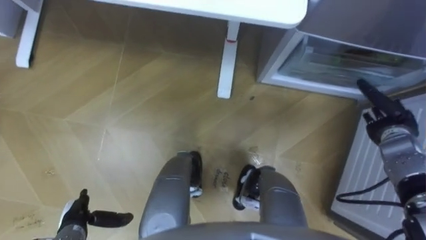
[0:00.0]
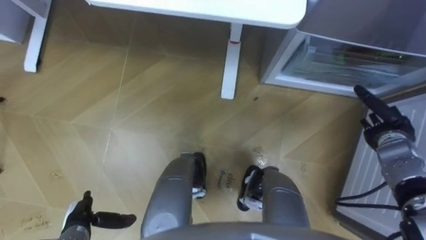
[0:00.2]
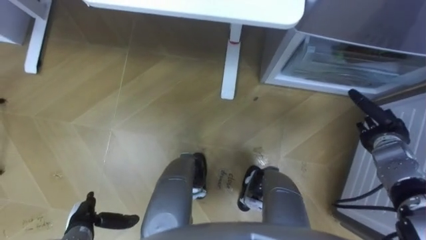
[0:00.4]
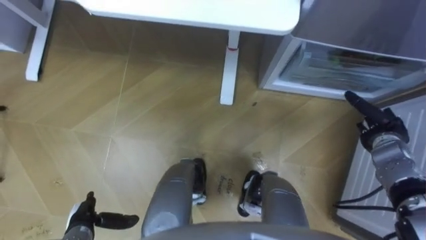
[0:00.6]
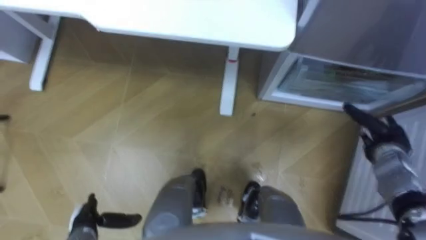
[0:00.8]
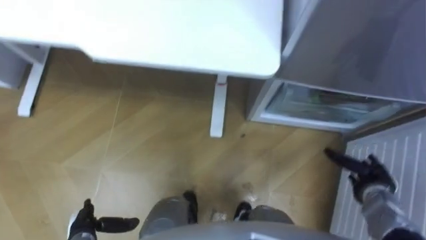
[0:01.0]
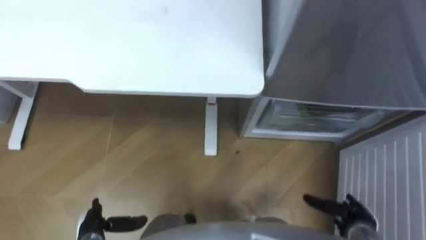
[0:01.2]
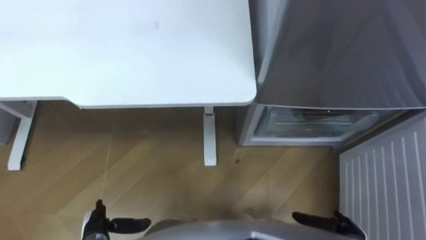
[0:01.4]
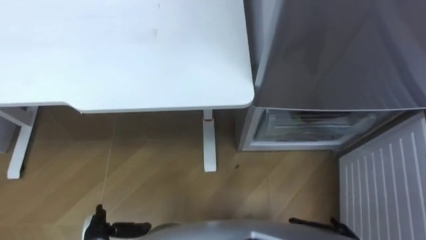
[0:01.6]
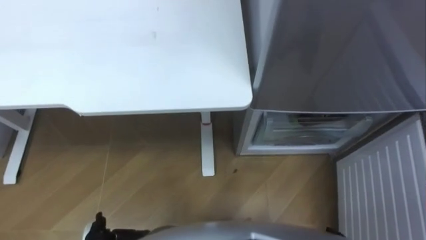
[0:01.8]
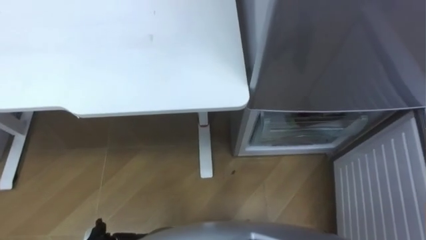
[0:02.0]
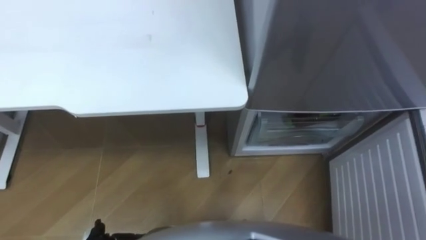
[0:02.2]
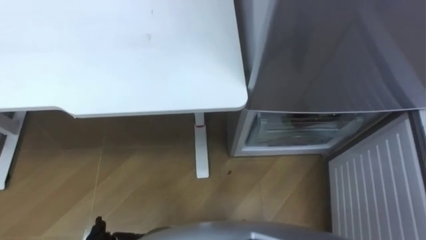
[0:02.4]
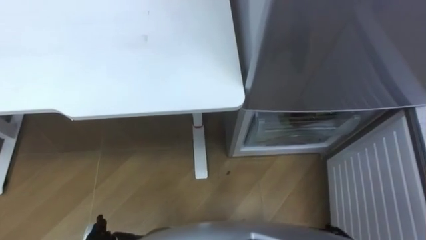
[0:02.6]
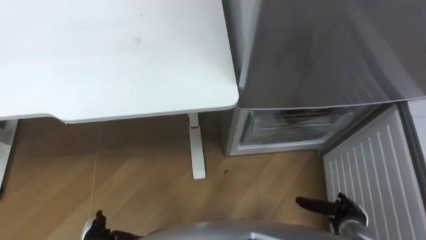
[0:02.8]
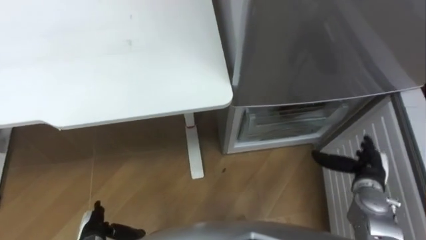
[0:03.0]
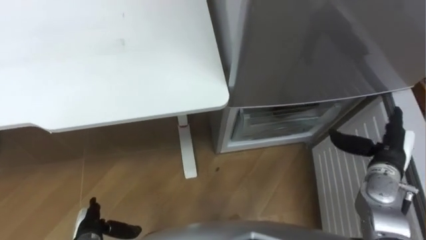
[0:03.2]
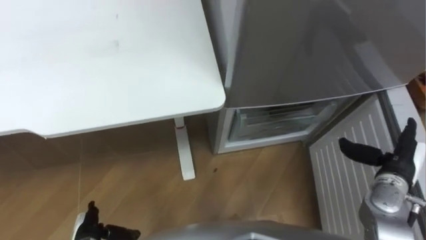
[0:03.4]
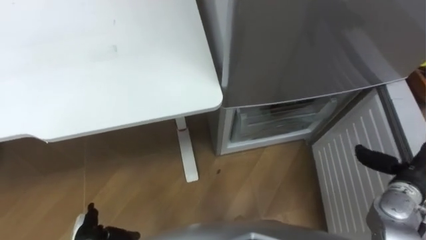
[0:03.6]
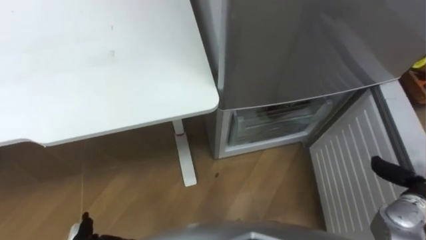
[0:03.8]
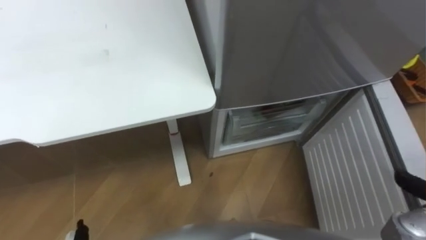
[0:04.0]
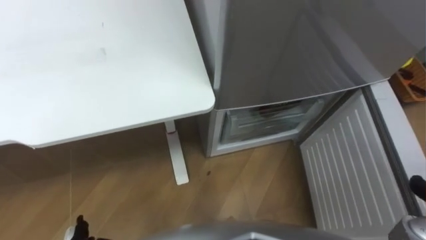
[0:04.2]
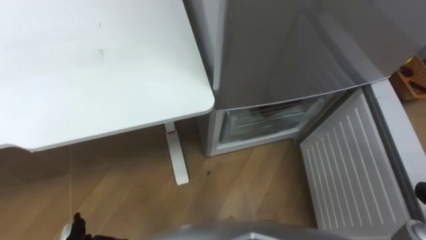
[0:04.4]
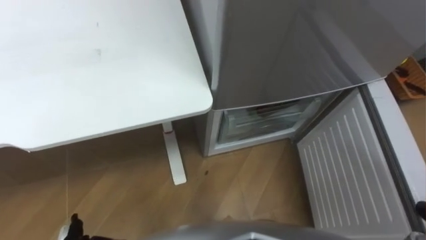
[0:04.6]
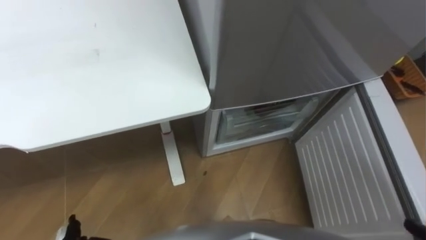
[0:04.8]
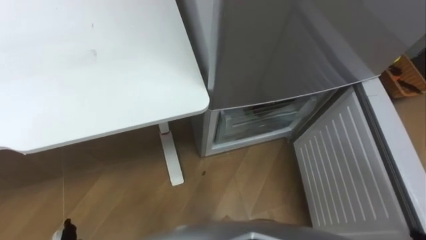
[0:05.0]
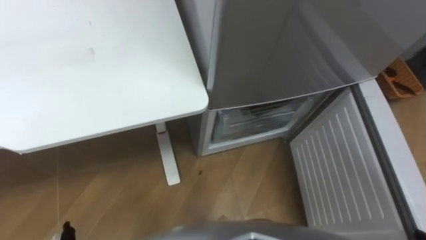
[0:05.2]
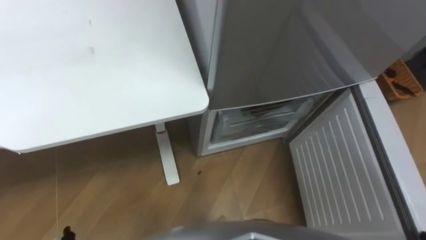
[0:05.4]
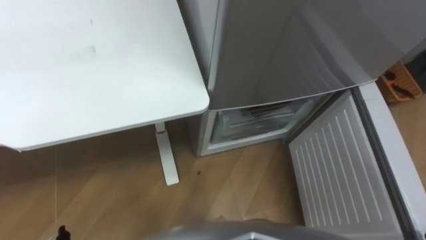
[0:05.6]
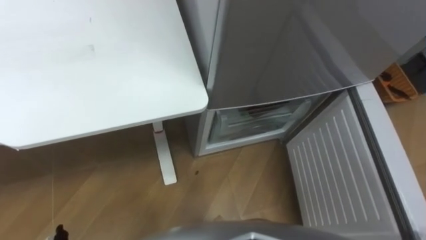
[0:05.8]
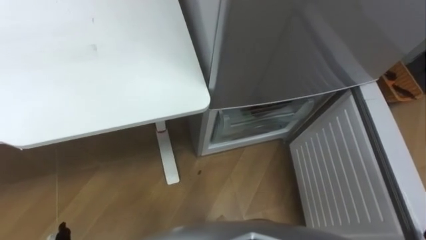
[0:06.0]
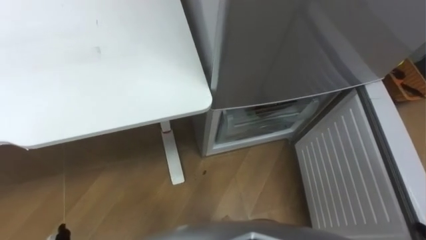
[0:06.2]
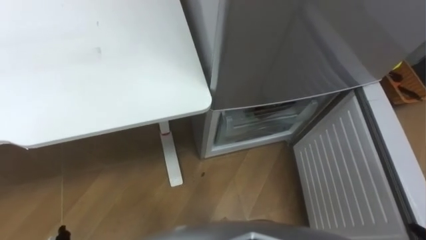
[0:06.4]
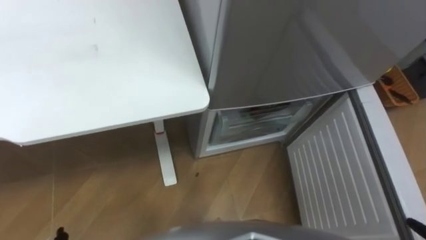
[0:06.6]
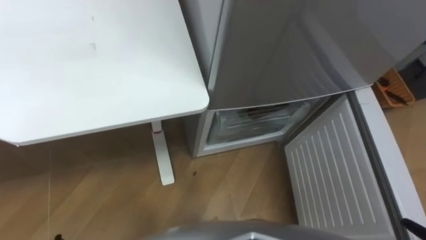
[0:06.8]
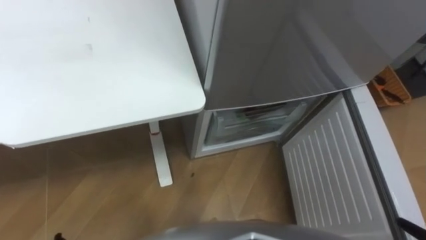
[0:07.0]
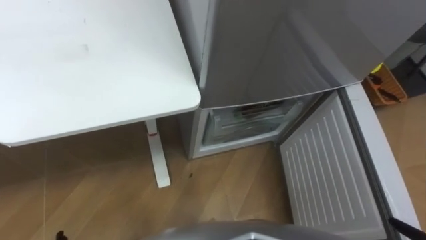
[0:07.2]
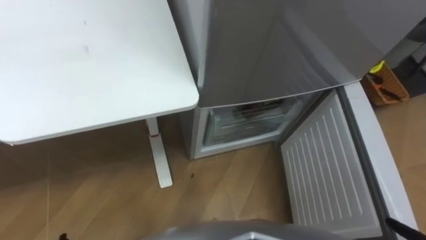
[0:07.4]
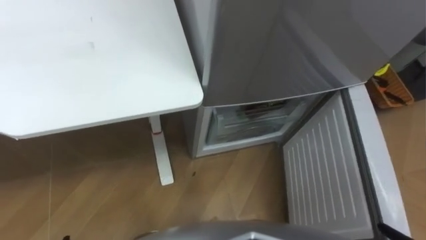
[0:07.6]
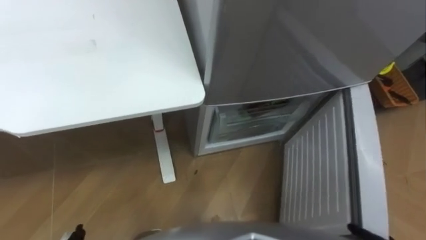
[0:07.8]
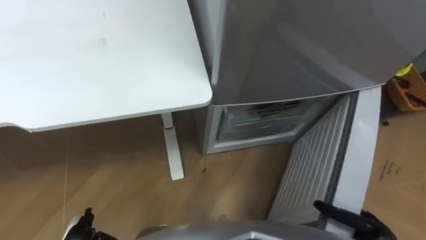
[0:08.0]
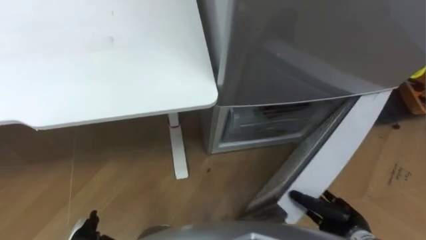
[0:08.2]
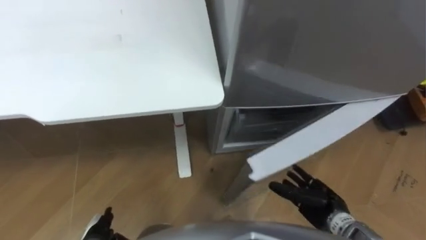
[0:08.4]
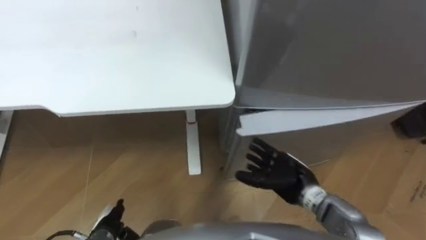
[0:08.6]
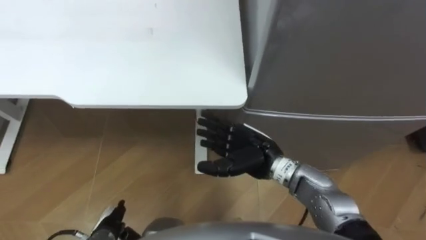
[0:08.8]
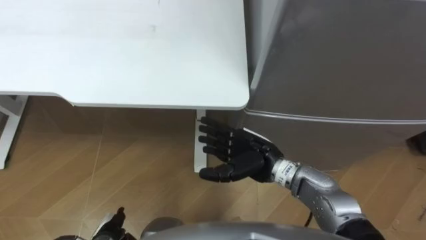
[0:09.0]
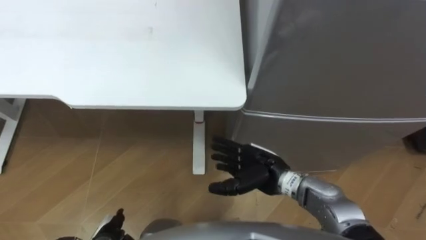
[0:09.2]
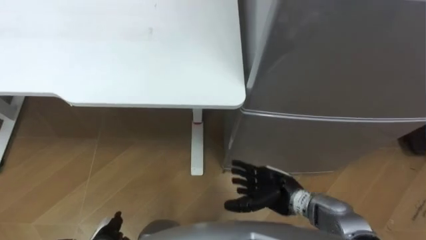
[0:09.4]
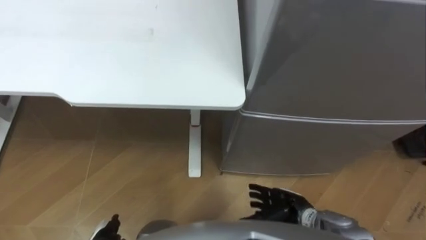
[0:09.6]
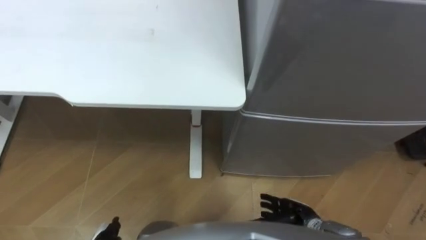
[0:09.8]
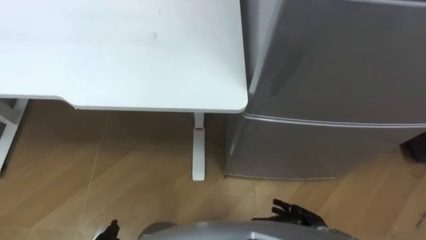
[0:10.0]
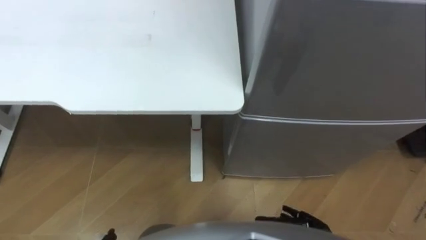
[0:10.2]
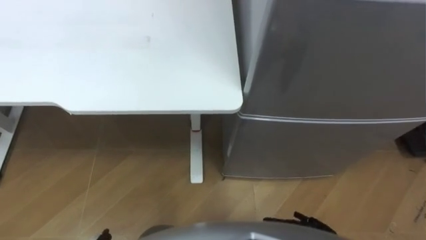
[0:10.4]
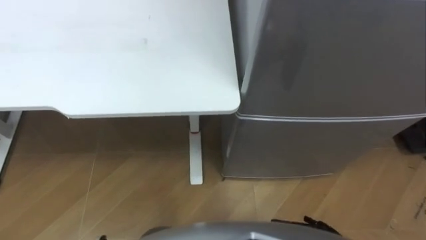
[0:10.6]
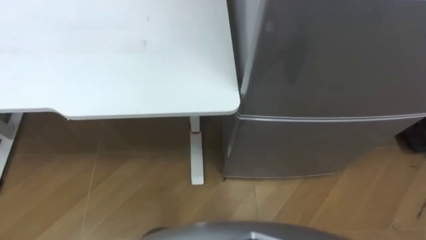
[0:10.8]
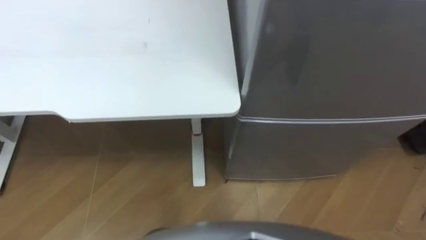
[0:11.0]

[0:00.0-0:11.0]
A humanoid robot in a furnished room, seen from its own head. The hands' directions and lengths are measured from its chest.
Task of the whole recording: Place the drink on the table on the bottom shelf of the refrigerator, then close the drawer and the refrigerator door.
0:00.0 to 0:01.6: The left hand changes place by roughly 5 cm.

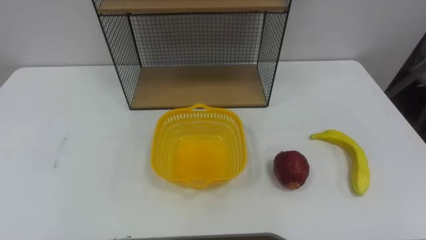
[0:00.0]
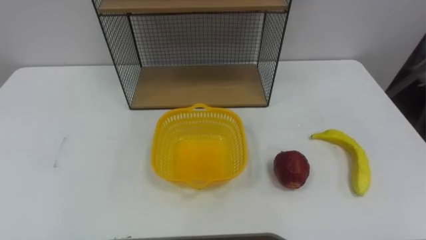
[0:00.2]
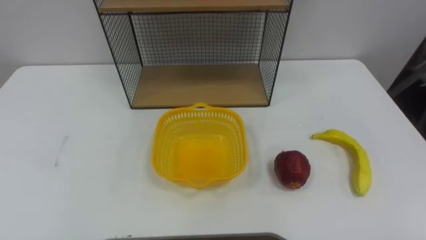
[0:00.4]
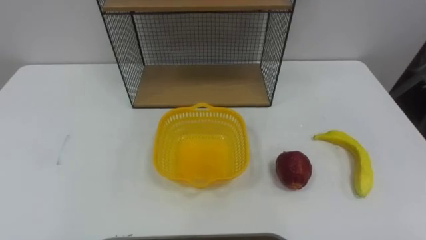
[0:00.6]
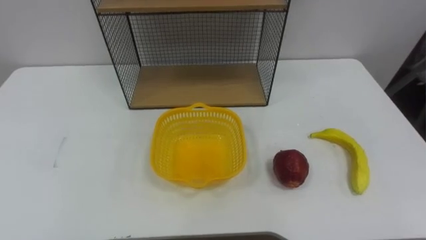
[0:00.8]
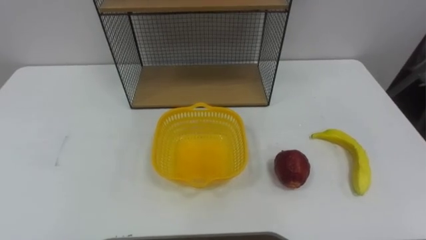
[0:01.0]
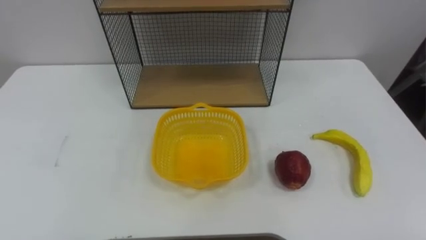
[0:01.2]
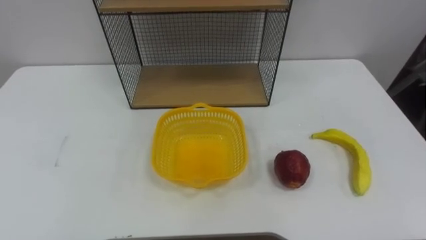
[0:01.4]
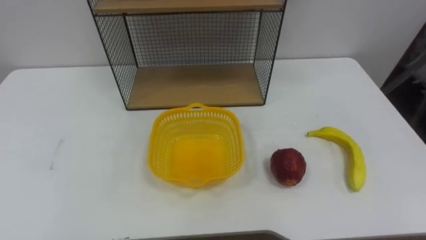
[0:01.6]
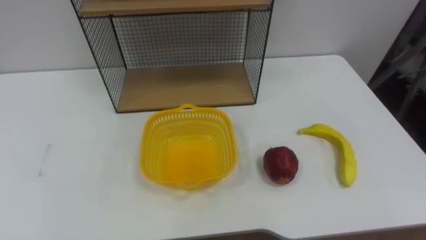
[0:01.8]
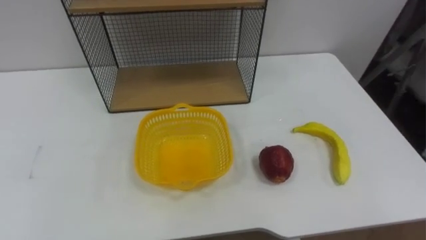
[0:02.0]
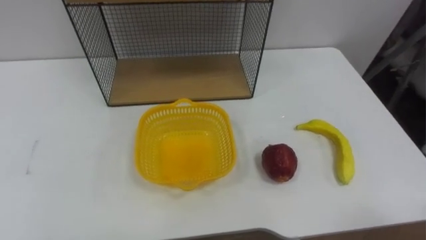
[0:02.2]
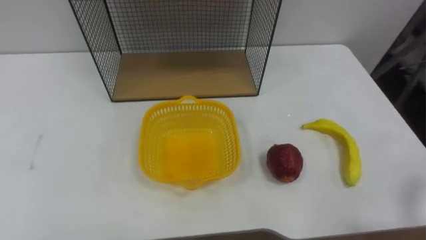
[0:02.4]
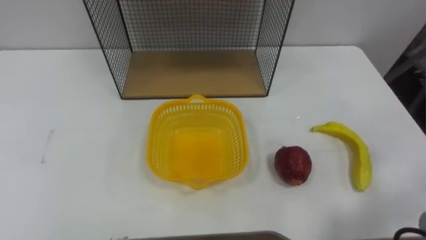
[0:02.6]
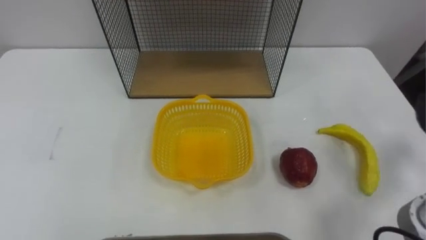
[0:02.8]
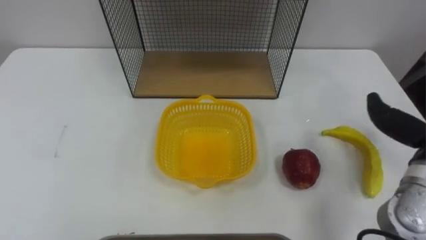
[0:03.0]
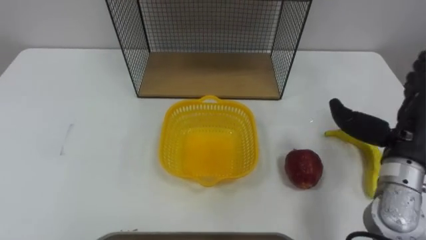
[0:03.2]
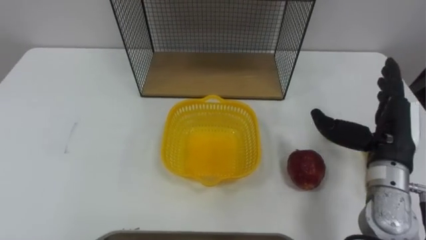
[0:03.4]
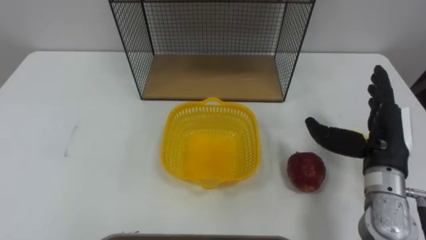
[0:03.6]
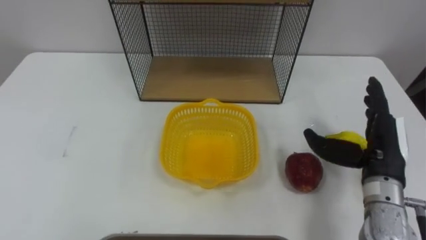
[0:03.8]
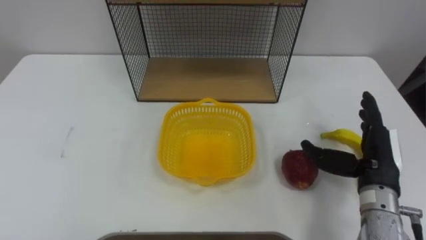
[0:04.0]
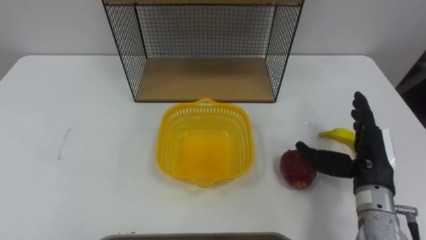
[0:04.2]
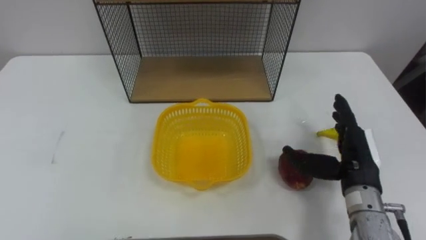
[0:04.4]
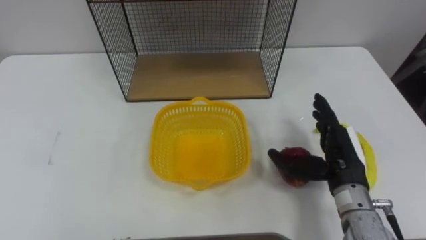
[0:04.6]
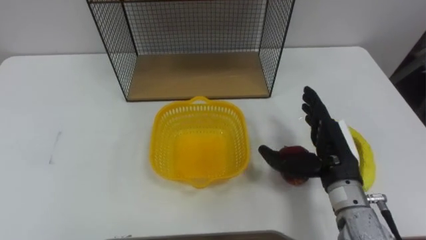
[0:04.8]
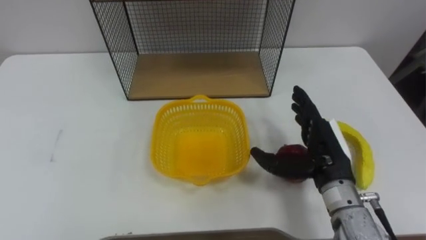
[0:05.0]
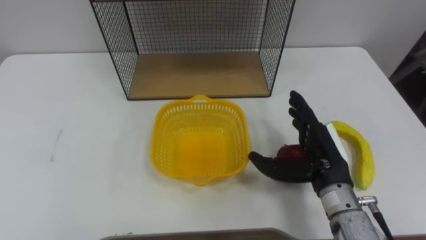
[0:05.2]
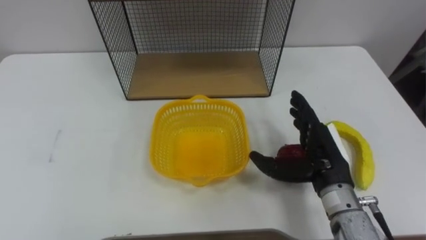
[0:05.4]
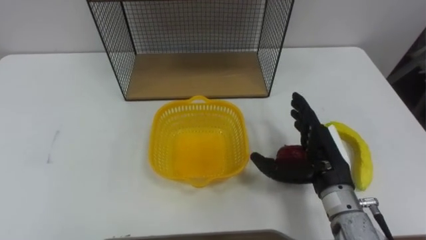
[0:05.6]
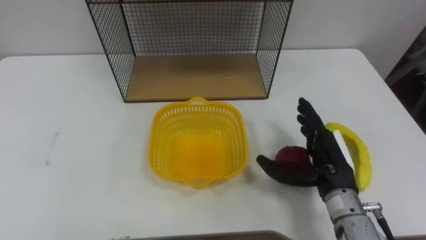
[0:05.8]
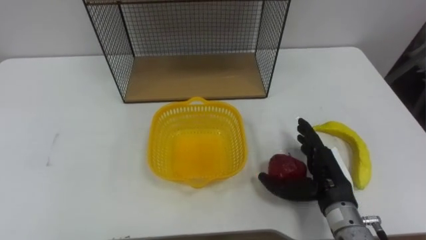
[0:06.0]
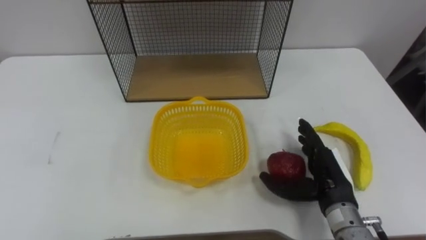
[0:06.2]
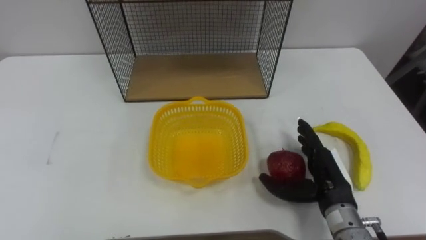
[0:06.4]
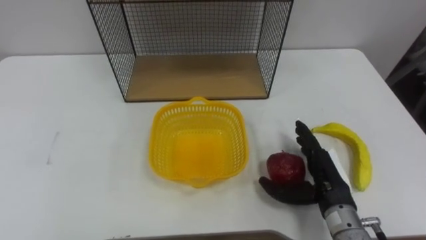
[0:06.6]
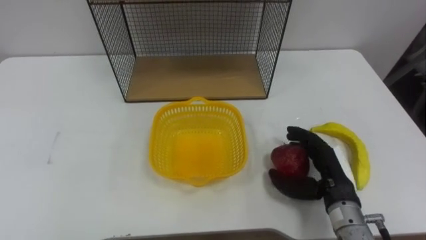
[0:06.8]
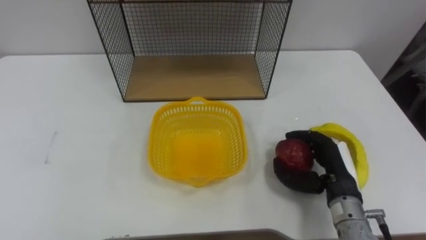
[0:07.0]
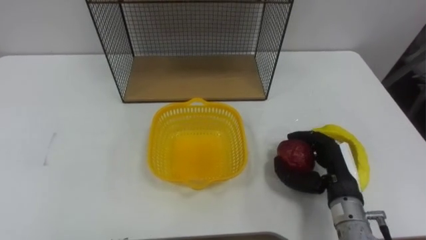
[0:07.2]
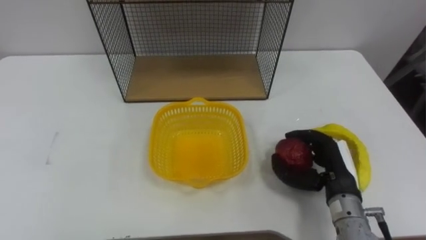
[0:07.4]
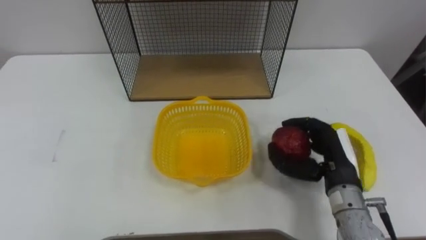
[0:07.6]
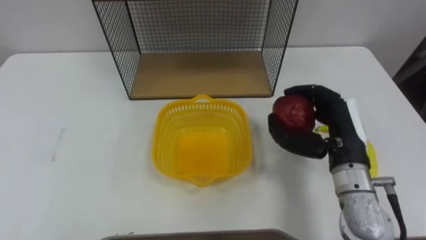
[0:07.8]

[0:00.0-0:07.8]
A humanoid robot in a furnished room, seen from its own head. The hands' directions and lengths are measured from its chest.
Task of the whole recording: Put the fruit on the table into the basket, then place the basket on the shelf.
0:03.2 to 0:04.6: The right hand shifts roughly 10 cm to the left and downward.
0:06.2 to 0:07.8: The right hand moves upward, about 10 cm, and closes.
